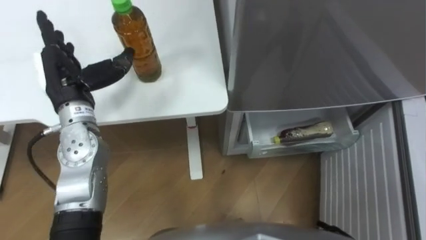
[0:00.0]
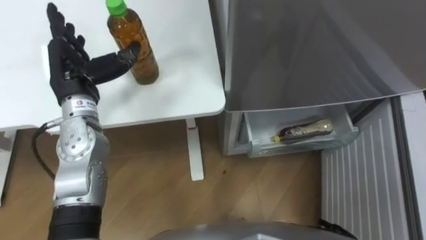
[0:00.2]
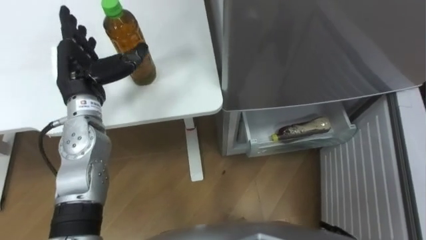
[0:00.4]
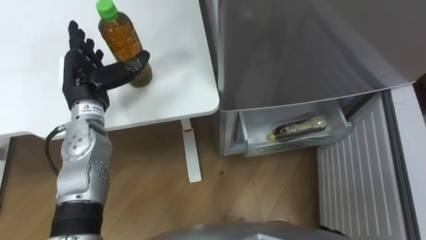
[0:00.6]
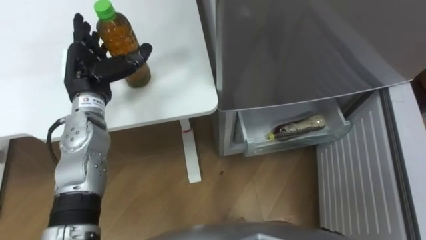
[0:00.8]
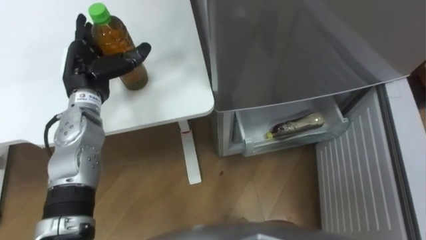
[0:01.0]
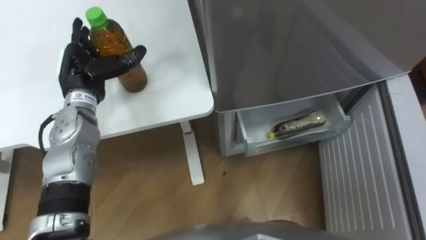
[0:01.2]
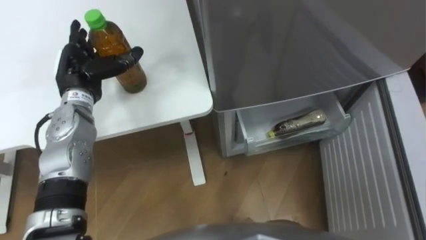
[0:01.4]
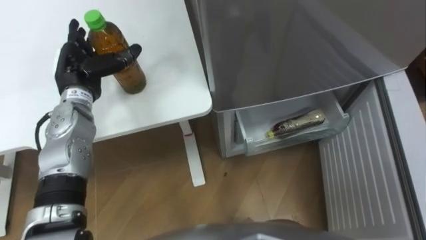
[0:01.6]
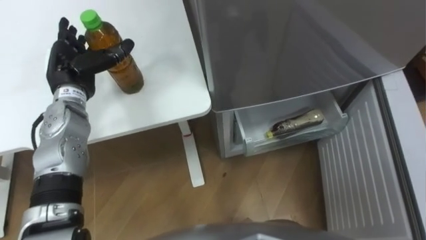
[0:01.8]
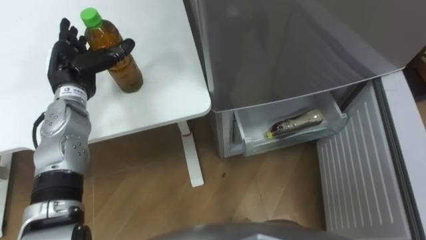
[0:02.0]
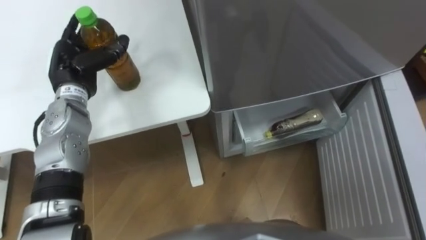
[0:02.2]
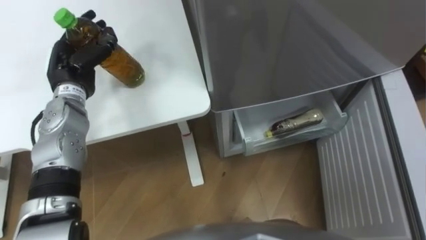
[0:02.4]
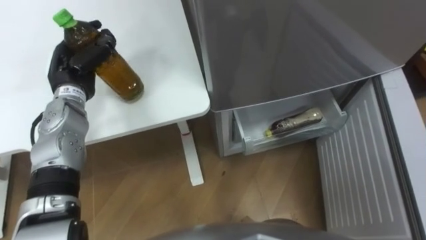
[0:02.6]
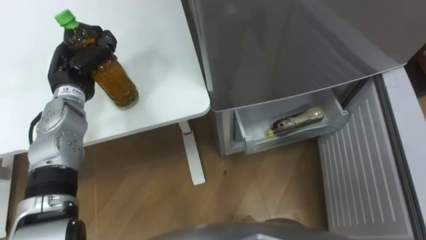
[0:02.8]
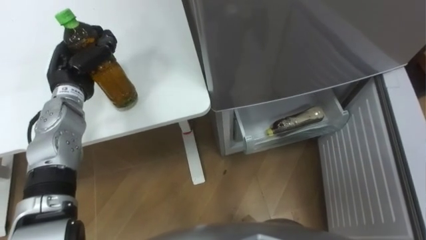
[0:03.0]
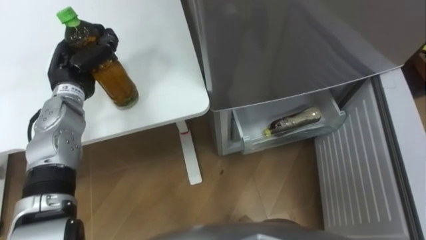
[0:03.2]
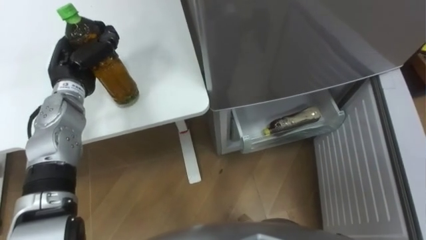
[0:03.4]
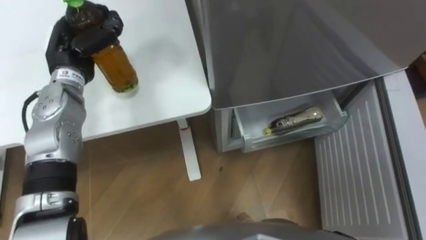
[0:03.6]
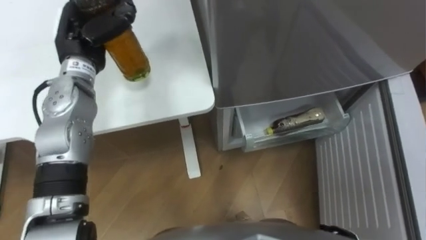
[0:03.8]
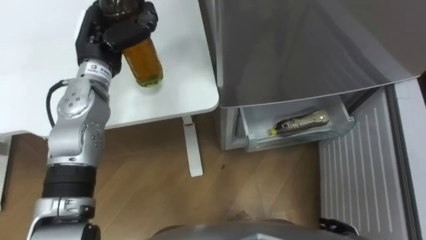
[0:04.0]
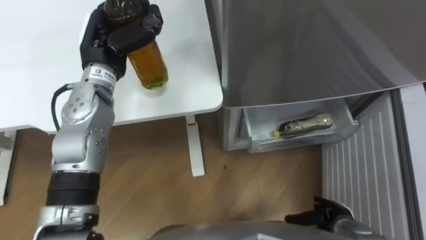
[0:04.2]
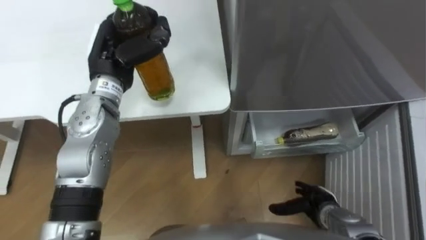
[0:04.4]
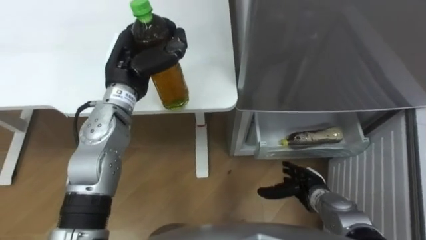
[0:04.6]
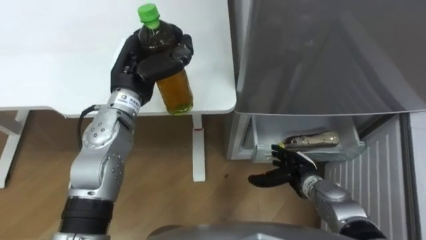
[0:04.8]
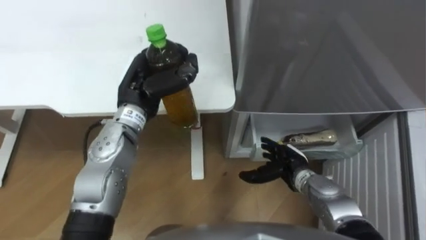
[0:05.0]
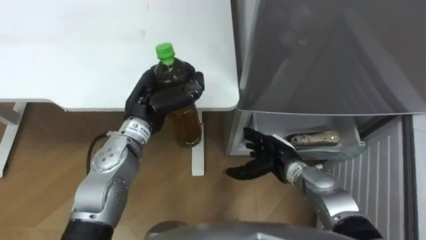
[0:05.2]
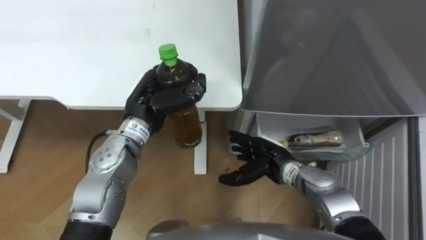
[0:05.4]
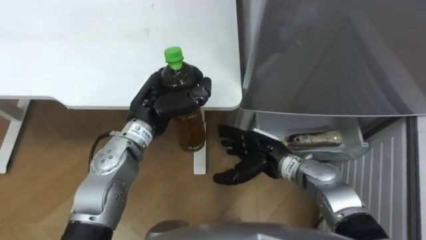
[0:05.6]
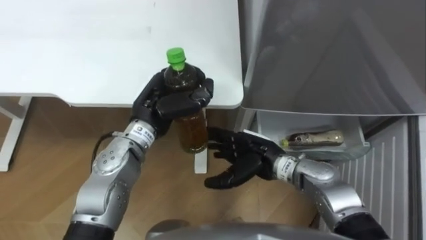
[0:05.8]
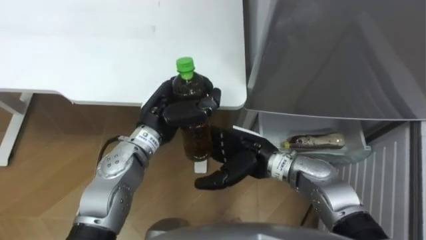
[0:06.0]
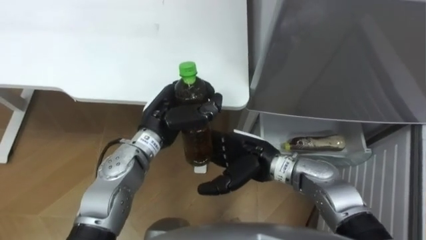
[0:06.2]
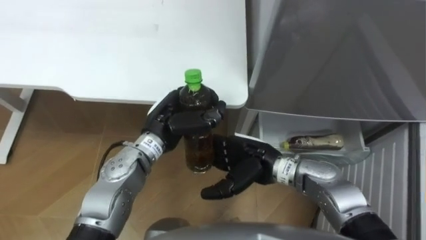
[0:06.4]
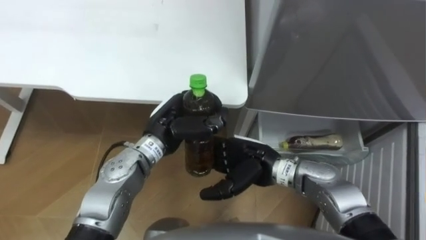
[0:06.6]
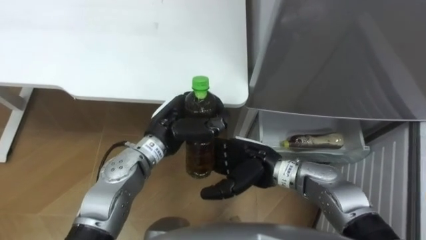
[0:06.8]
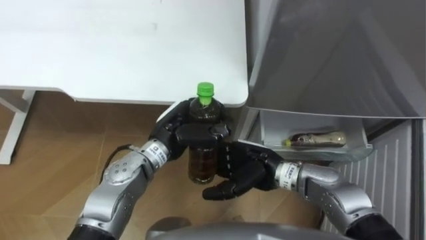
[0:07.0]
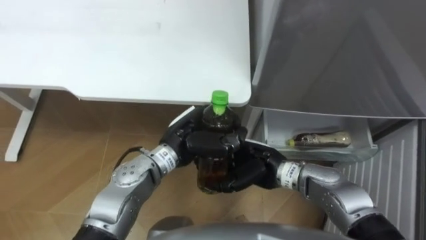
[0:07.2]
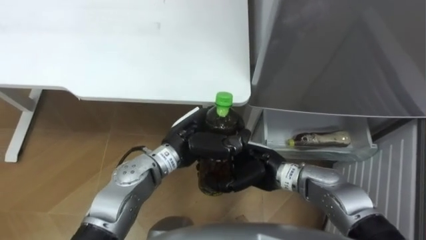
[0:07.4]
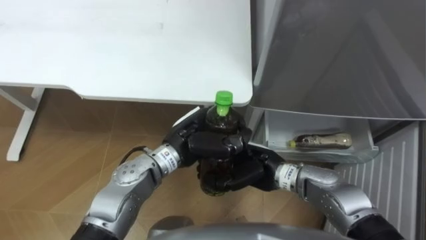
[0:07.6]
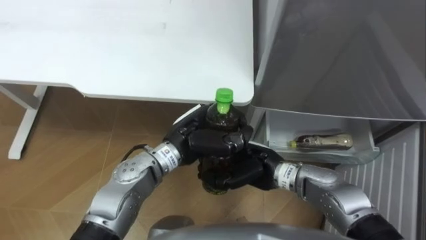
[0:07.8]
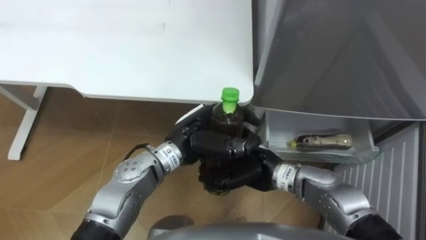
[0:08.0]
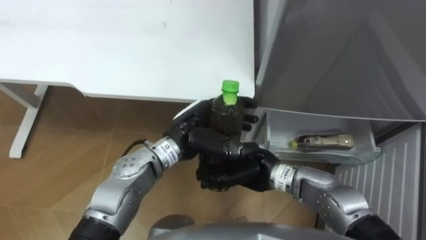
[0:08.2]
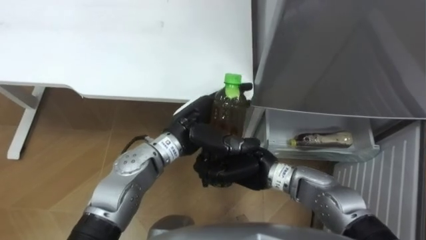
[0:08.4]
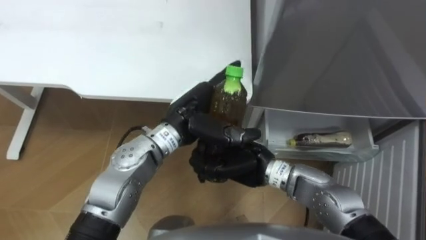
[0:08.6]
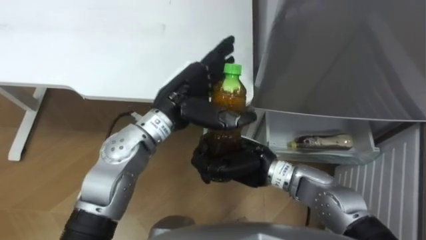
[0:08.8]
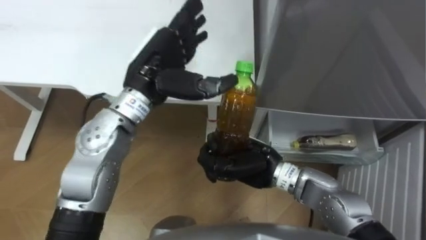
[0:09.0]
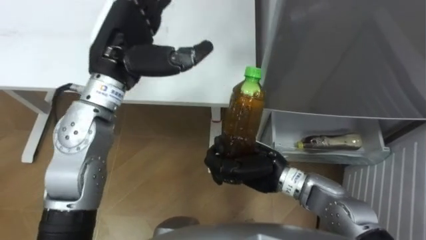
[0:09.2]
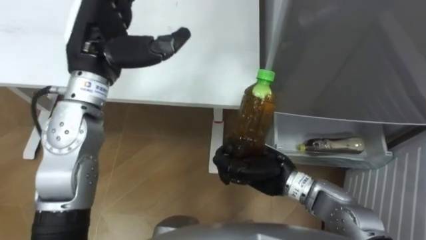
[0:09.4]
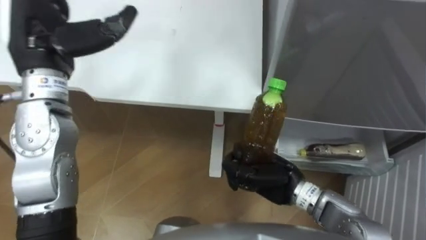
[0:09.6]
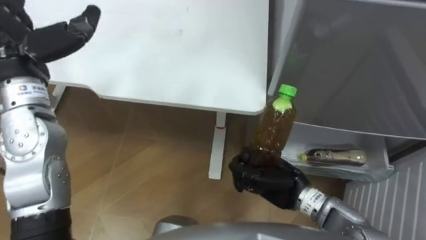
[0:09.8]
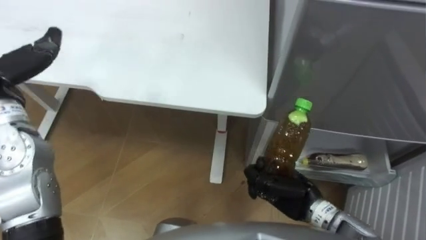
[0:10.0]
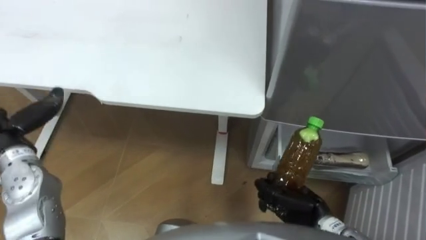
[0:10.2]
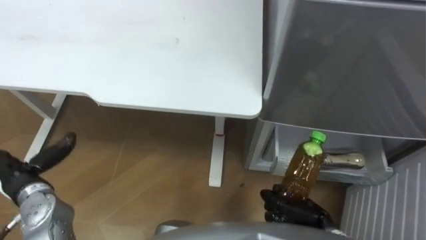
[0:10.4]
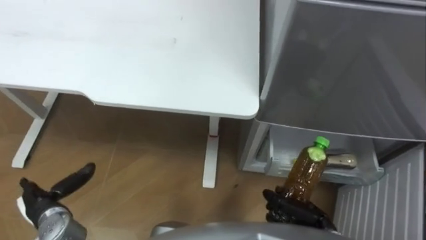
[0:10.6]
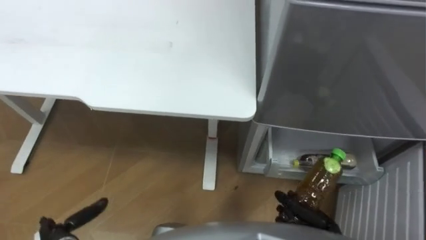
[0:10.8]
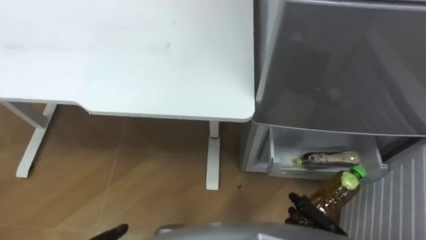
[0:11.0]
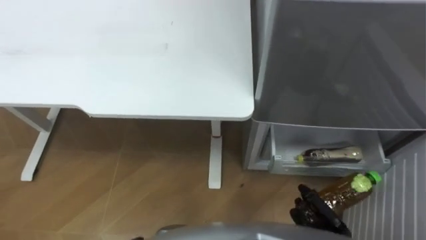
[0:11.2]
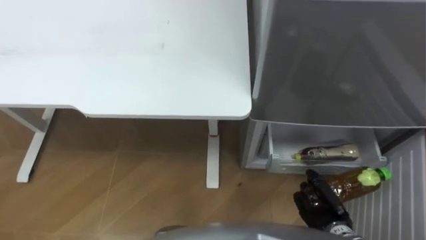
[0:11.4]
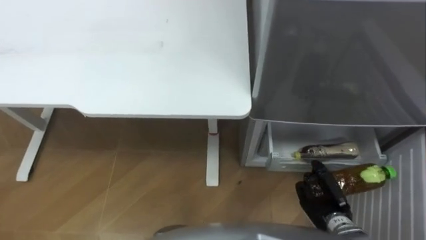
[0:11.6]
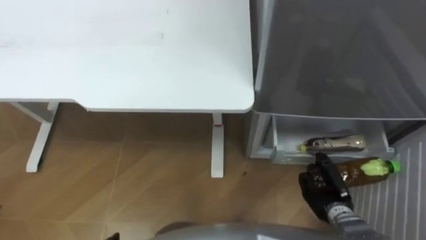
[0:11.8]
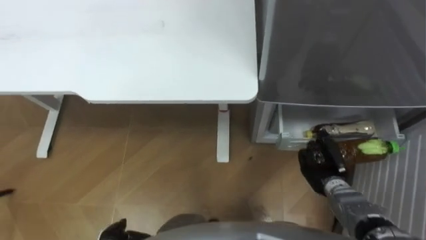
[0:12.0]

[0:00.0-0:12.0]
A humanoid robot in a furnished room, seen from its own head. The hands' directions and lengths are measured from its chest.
Task of the whole recording: Place the drink on the table on the bottom shelf of the refrigerator, then close the drawer and the refrigerator door.
0:00.0 to 0:01.6: The left hand shifts by about 5 cm.
0:01.6 to 0:03.0: The left hand closes.
0:03.0 to 0:04.4: The left hand moves to the right and upward, roughly 10 cm.
0:04.4 to 0:06.0: The left hand travels to the right, downward and backward by approximately 10 cm. The right hand goes approximately 25 cm to the left, upward and forward.
0:06.0 to 0:07.6: The right hand closes, while the left hand travels to the right by roughly 5 cm.
0:07.6 to 0:09.0: The left hand moves upward, forward and to the left, approximately 15 cm, and opens up.
0:09.0 to 0:10.4: The right hand moves to the right, downward and backward, some 20 cm.
0:10.4 to 0:12.0: The right hand goes approximately 10 cm forward and to the right.

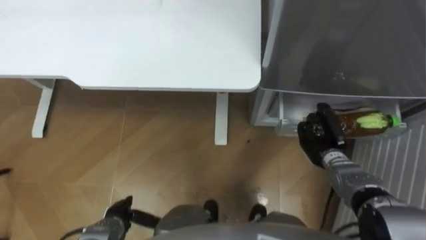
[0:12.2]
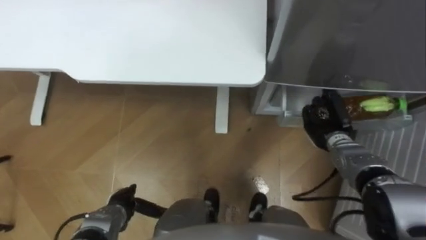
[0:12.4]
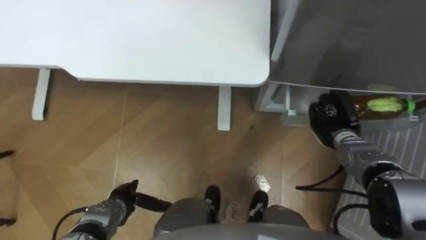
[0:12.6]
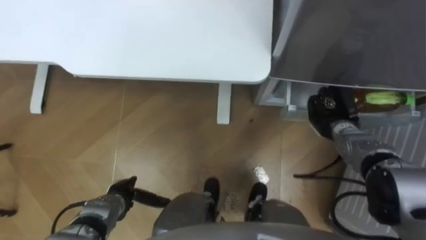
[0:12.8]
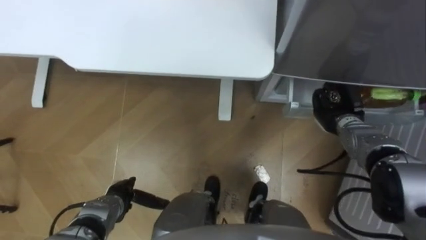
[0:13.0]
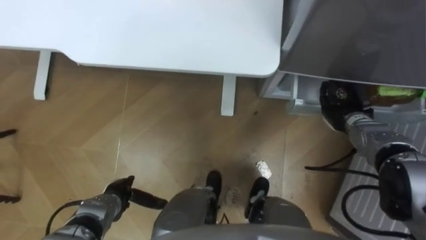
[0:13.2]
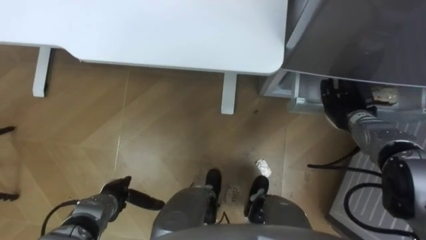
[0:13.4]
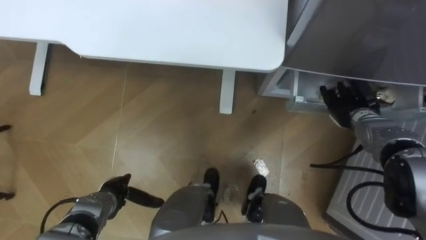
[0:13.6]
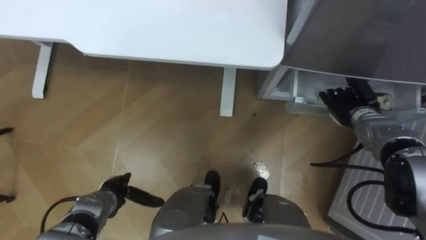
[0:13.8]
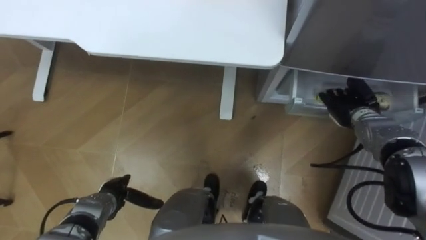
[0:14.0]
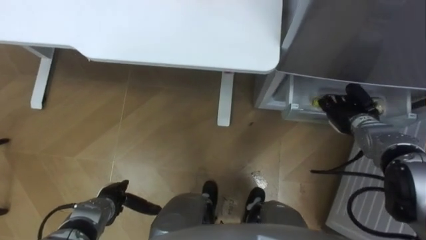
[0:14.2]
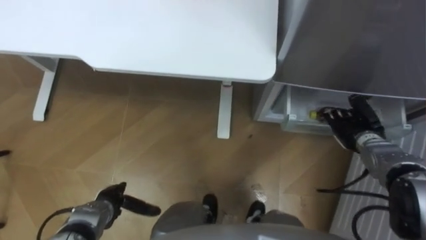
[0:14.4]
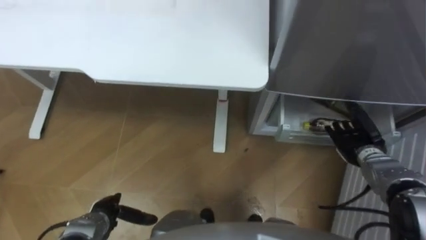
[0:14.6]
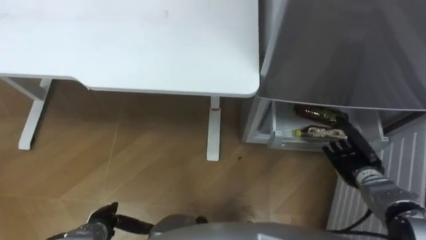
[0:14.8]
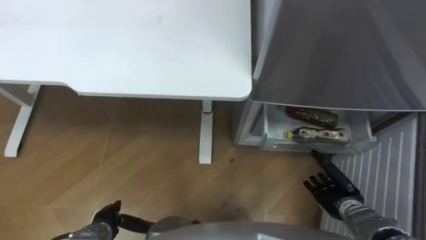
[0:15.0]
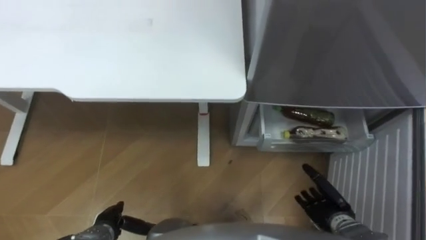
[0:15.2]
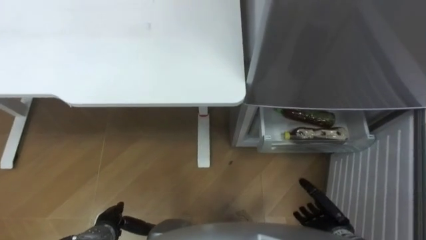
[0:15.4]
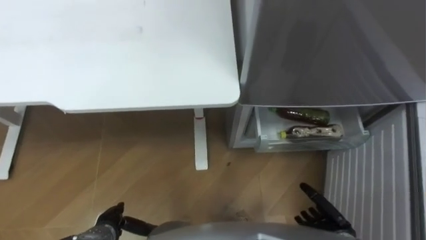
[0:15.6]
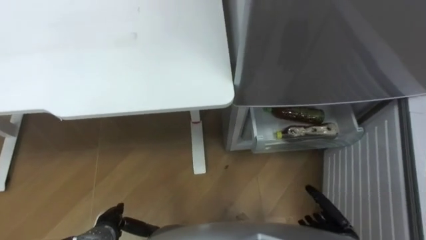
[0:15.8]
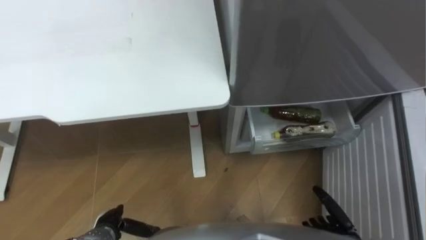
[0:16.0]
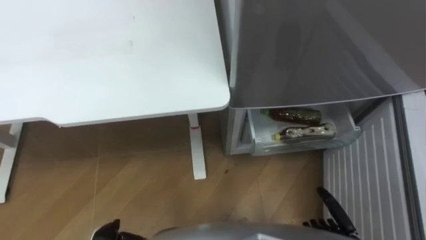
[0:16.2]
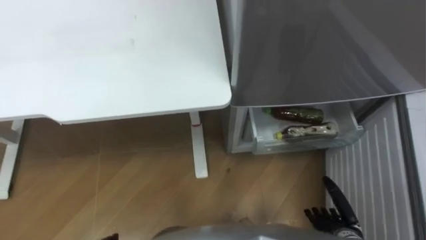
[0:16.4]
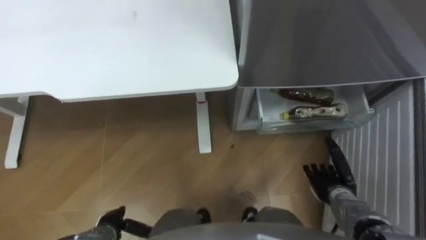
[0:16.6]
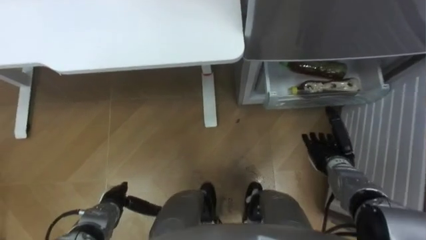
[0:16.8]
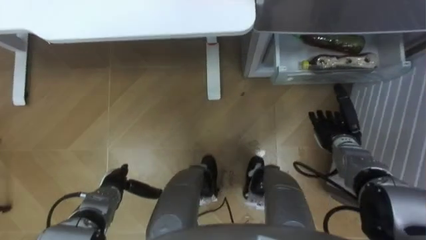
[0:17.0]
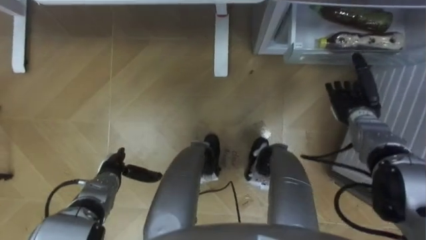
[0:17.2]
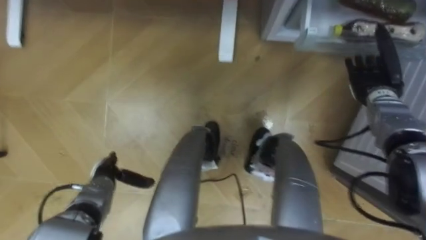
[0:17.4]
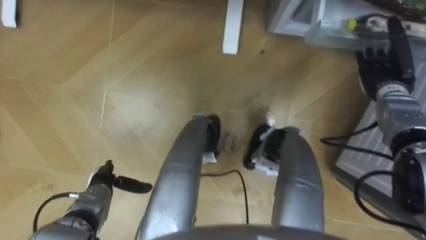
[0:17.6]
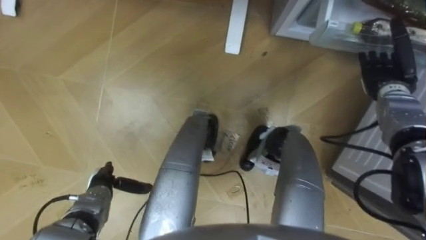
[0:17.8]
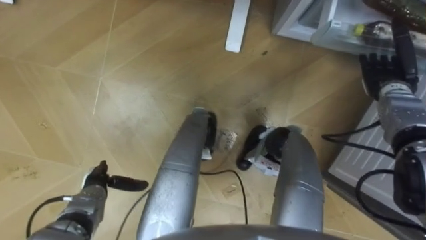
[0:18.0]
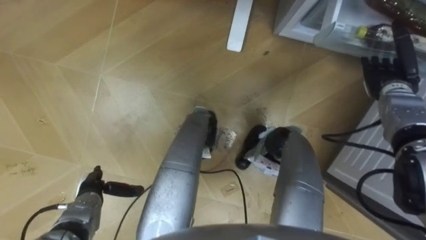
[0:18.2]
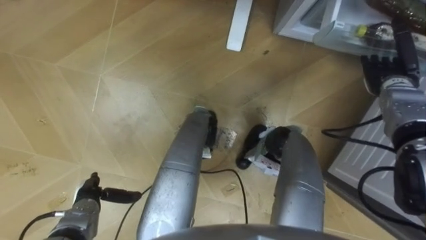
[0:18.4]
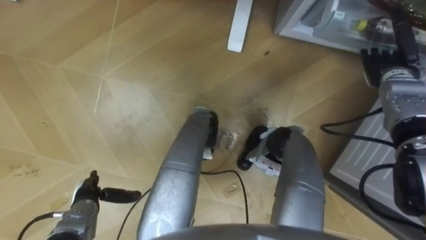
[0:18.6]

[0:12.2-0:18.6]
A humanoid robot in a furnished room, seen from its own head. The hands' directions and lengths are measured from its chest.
Task of the whole recording: Place the drink on the table on the bottom shelf of the refrigerator, then close the drawer and the refrigerator door.
0:12.2 to 0:13.8: The right hand moves forward, upward and to the right, about 10 cm, and opens its fingers; the left hand goes about 5 cm forward.
0:13.8 to 0:15.4: The left hand is displaced backward by about 5 cm, while the right hand travels backward and downward by approximately 25 cm.
0:15.4 to 0:17.0: The right hand goes some 20 cm forward and upward.
0:17.0 to 0:18.6: The right hand travels upward, forward and to the right by approximately 15 cm, while the left hand moves to the left, about 5 cm.
